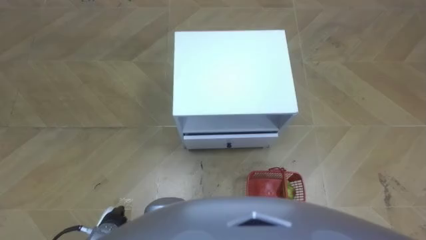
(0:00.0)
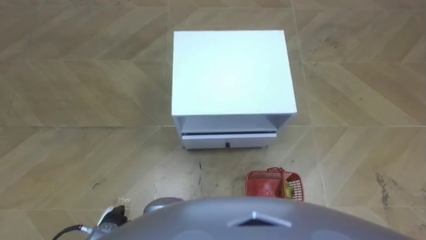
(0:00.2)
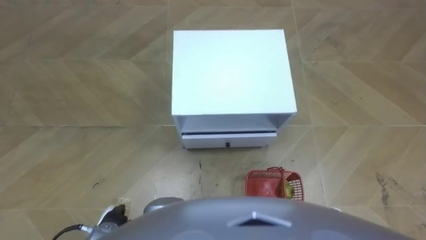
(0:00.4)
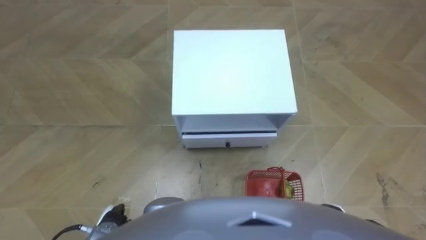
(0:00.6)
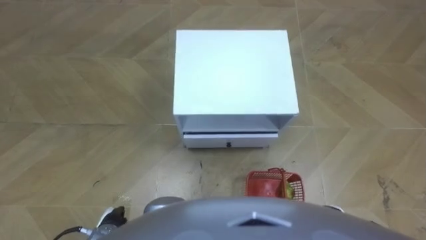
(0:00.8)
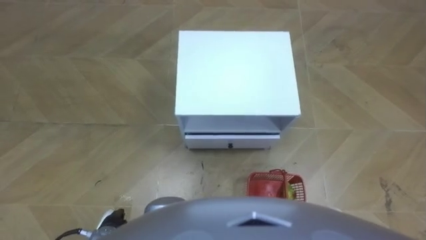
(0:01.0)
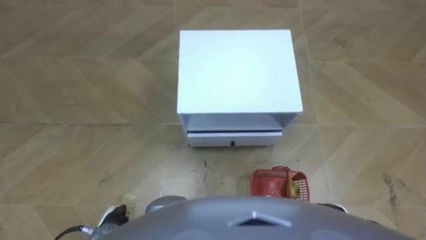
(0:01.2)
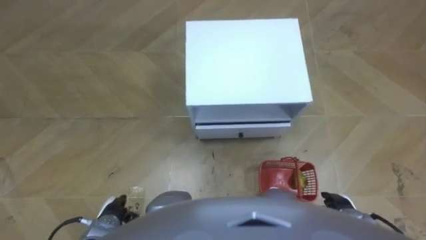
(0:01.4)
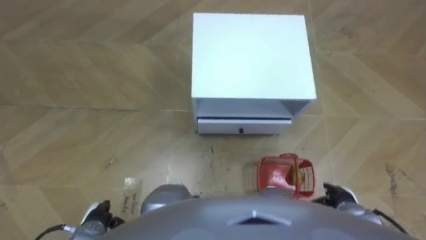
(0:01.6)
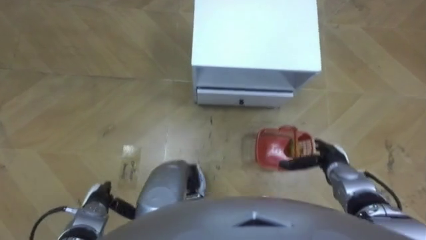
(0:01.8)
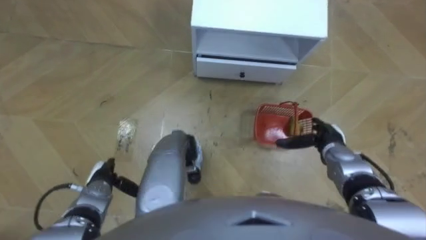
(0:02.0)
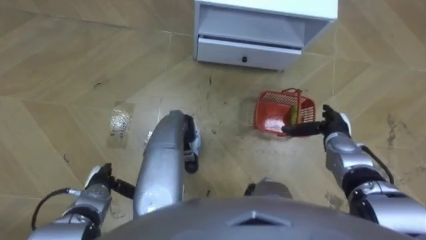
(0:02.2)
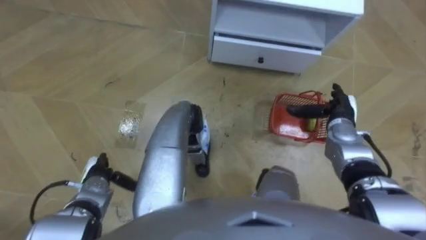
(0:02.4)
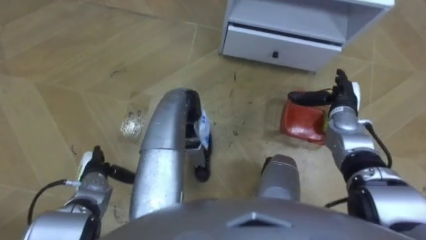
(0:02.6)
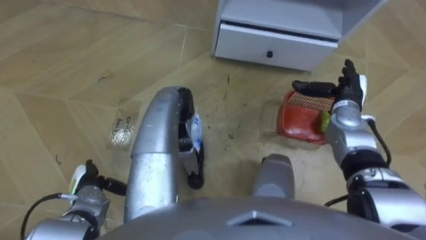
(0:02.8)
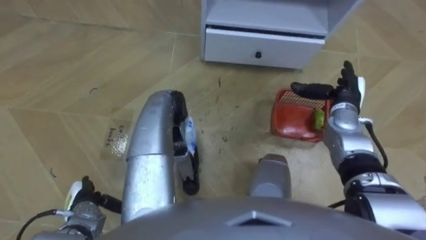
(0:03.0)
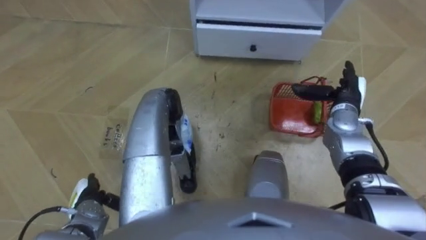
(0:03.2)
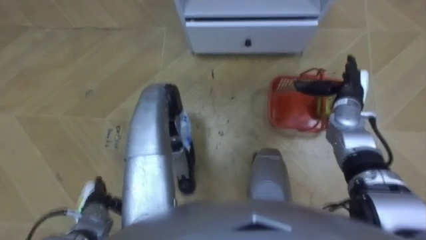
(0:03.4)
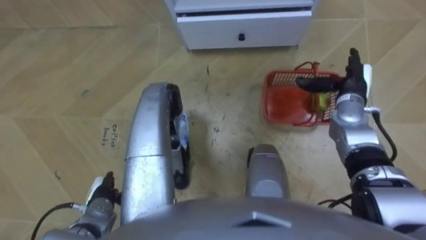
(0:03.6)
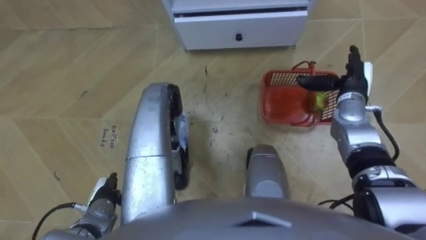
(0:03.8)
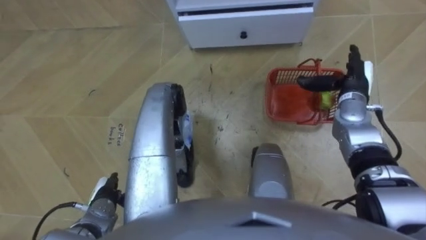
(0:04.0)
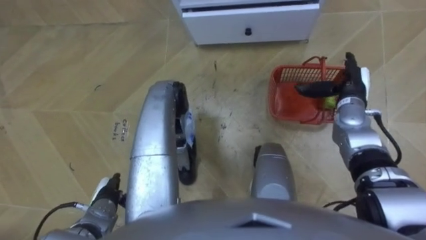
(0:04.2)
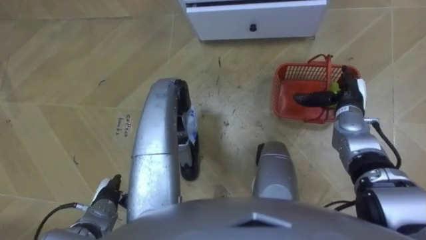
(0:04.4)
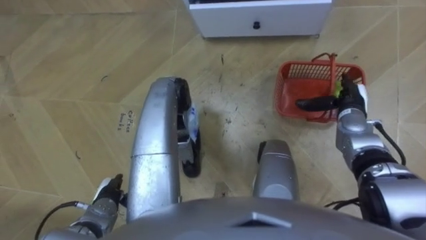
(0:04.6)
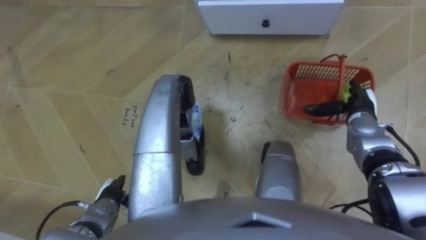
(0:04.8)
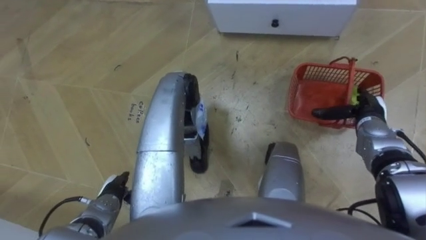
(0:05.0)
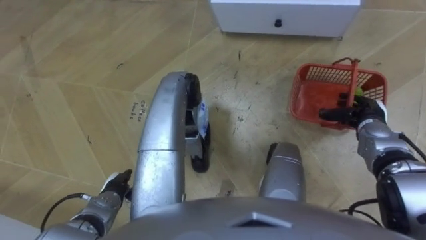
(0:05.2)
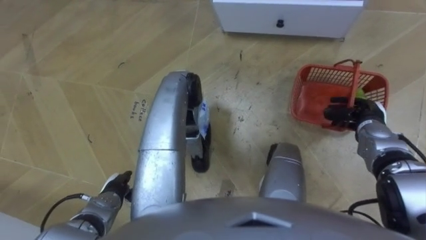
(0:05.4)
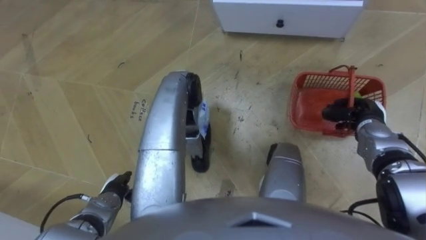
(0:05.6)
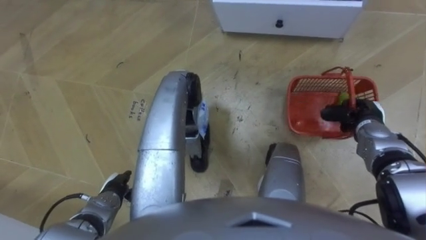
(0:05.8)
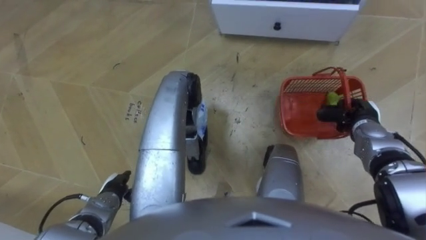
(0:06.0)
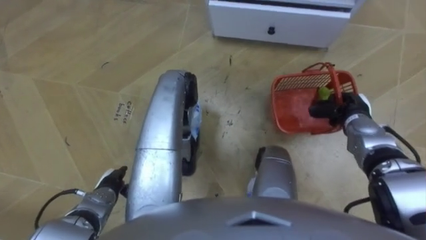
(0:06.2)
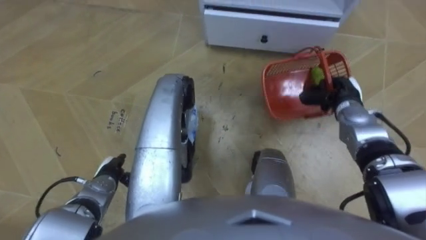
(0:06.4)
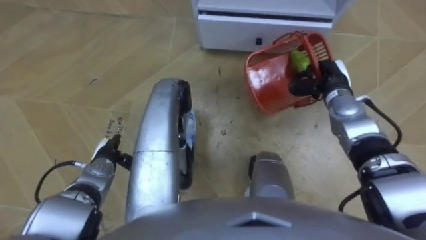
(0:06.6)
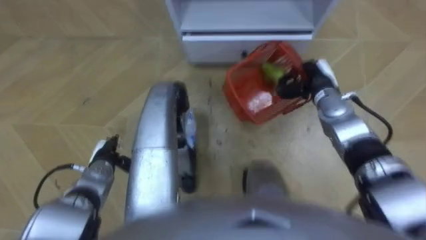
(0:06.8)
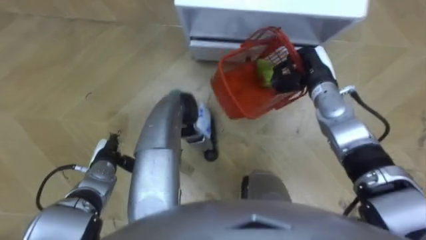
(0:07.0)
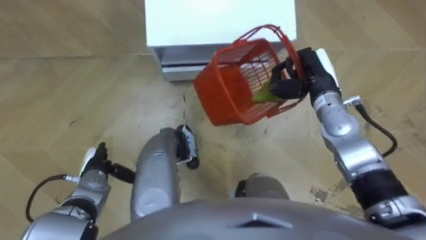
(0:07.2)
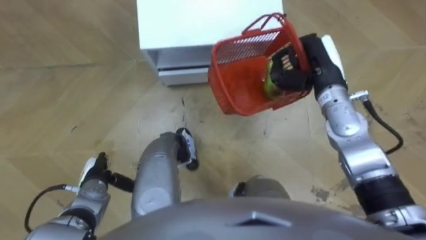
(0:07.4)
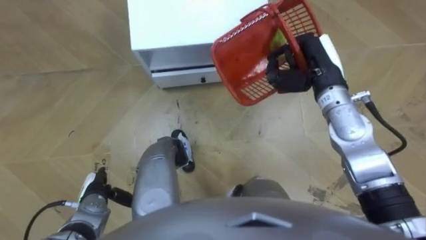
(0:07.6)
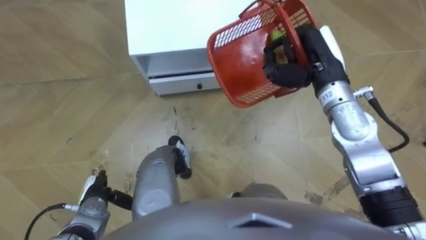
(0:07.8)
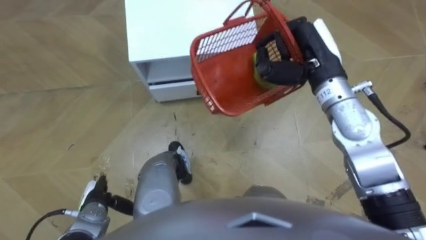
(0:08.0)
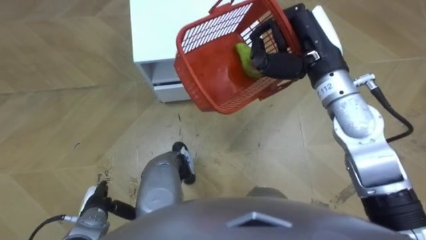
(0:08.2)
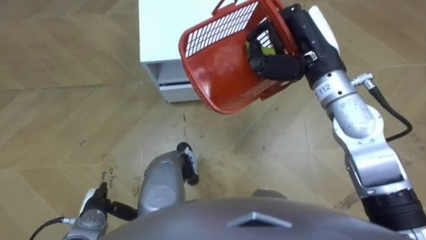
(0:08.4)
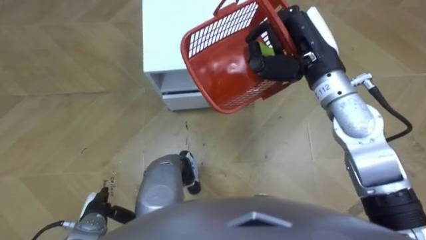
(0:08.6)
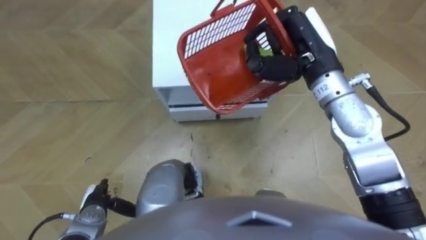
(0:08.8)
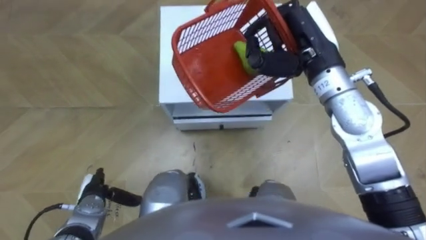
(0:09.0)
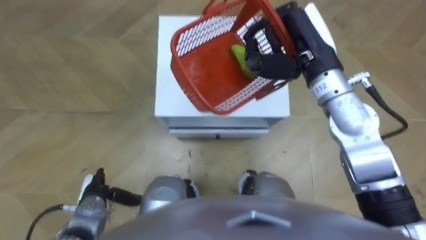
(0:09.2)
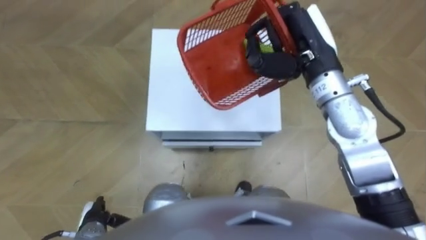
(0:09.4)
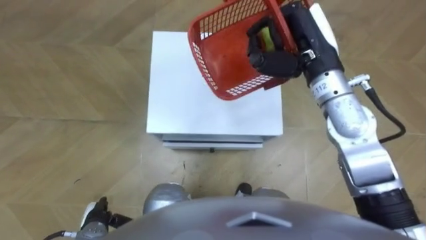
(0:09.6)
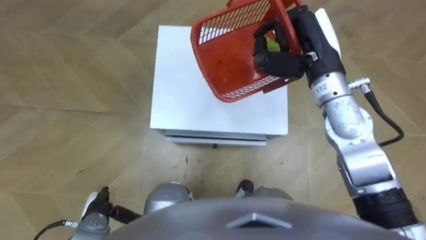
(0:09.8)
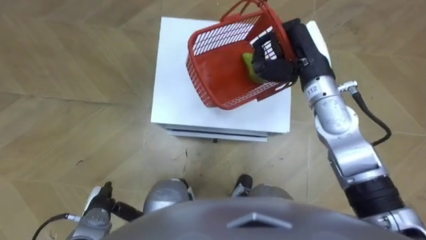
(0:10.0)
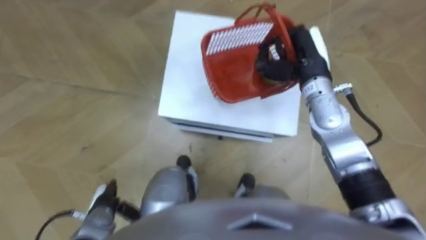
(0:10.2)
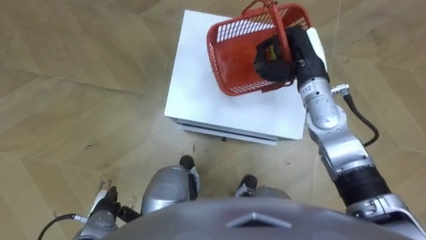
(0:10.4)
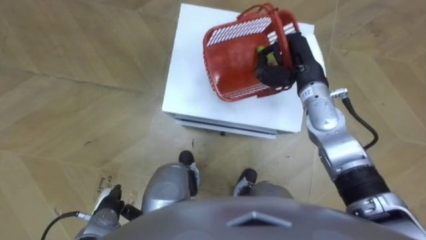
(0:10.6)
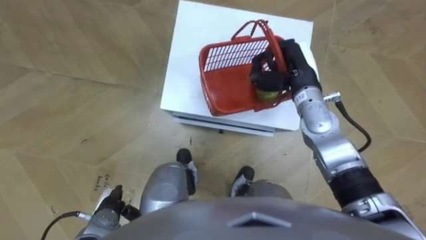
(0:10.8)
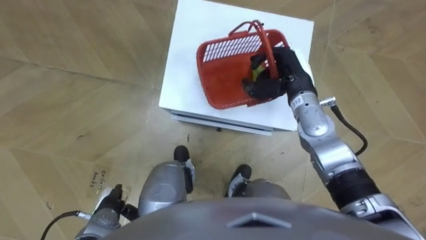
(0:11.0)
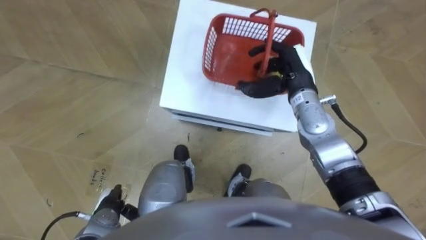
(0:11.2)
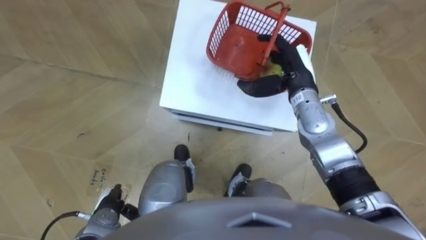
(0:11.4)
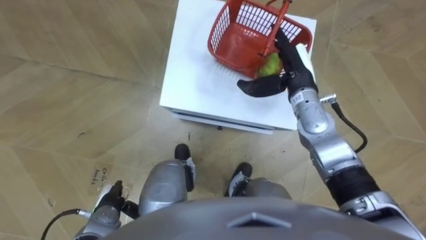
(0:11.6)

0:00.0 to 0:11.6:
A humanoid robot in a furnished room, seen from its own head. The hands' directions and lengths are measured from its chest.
Task of the whole recording: Pick up the fruit basket from the floor and place it on the cabinet.
0:01.4 to 0:02.8: The left hand is displaced forward and to the left by about 10 cm, while the right hand moves forward and upward, approximately 25 cm.
0:02.8 to 0:04.4: The left hand ends up roughly 5 cm from where it was.
0:04.4 to 0:05.8: The right hand changes place by some 5 cm, and closes its fingers.
0:05.8 to 0:07.2: The robot turns to its right by roughly 15 degrees. The left hand shifts some 5 cm forward, while the right hand heads to the left, upward and forward, covering about 15 cm.
0:07.2 to 0:08.8: The right hand shifts about 10 cm upward; the left hand travels backward by approximately 10 cm.
0:08.8 to 0:10.2: The right hand is displaced downward by about 5 cm.
0:10.2 to 0:11.6: The right hand opens.

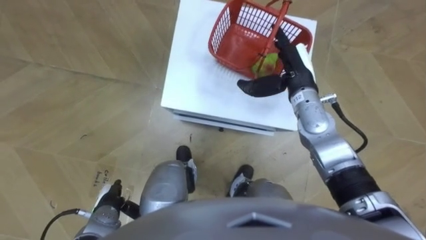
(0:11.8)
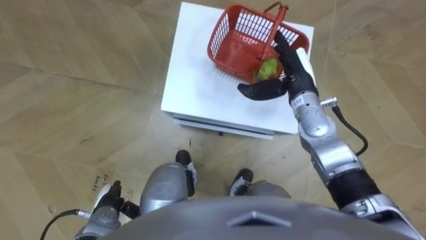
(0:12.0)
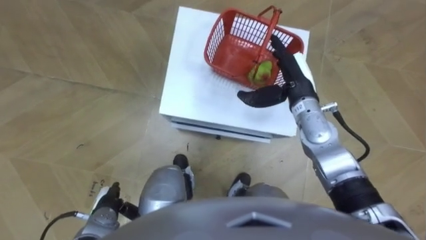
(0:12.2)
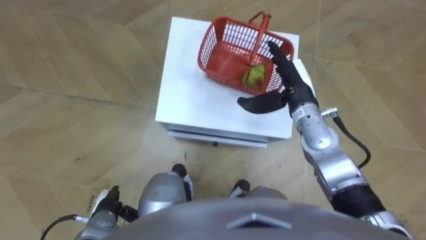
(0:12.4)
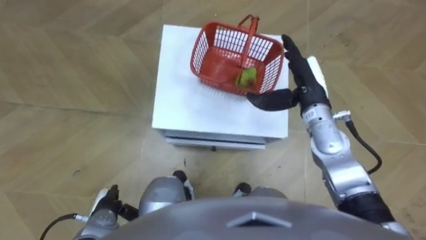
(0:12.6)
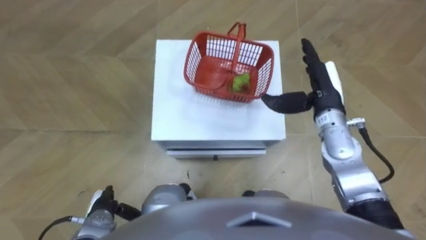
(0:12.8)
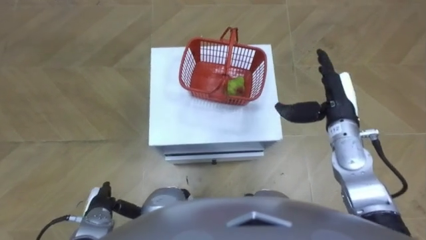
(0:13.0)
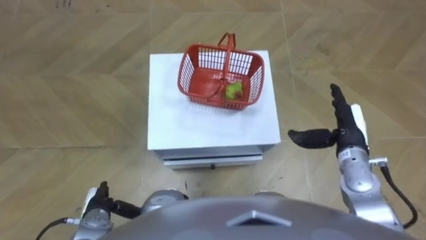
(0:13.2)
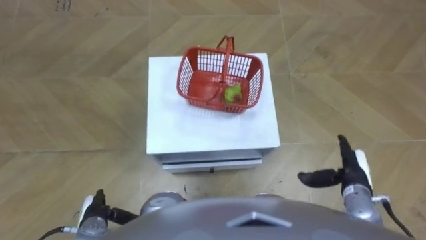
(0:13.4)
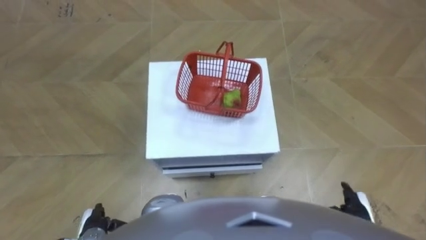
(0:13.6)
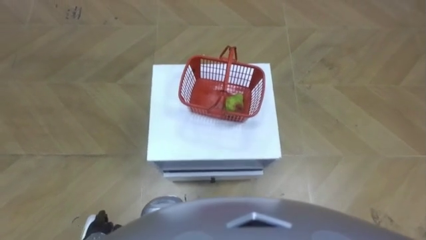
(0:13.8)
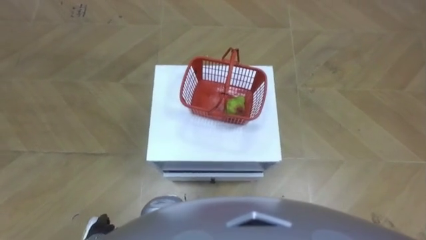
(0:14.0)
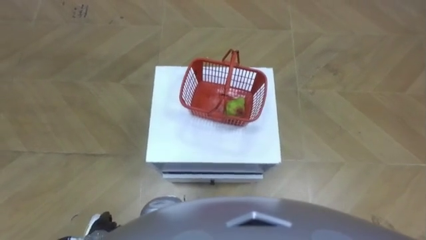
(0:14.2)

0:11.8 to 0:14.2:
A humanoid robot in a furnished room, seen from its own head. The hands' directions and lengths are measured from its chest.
Task of the whole recording: Pick up the fruit basket from the floor and place it on the cabinet.
0:11.8 to 0:13.0: The right hand heads to the right and backward, covering roughly 10 cm.
0:13.0 to 0:14.2: The left hand moves backward, approximately 5 cm.

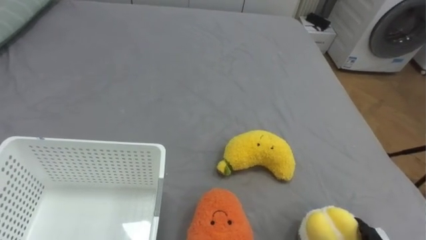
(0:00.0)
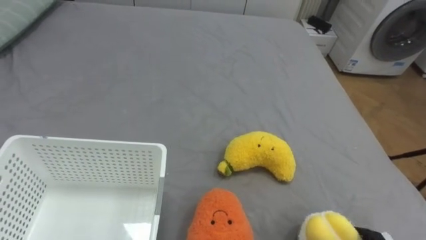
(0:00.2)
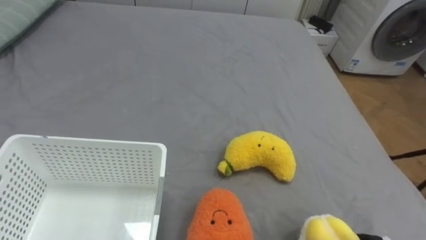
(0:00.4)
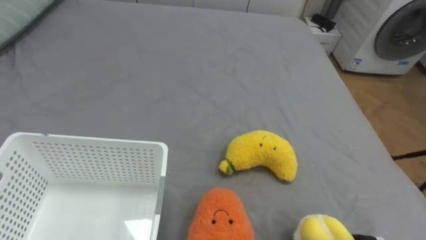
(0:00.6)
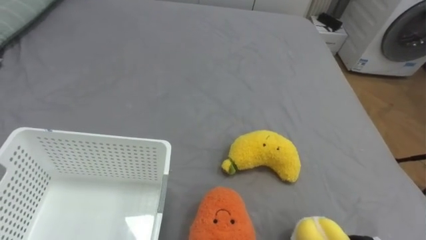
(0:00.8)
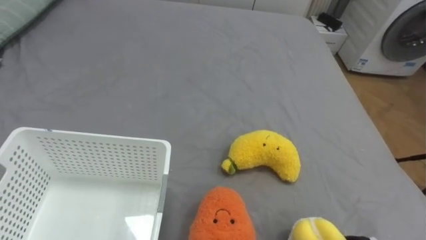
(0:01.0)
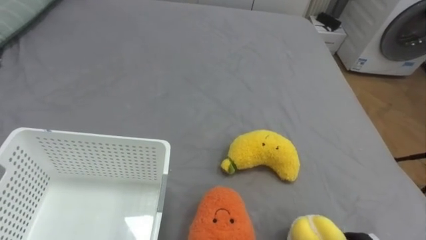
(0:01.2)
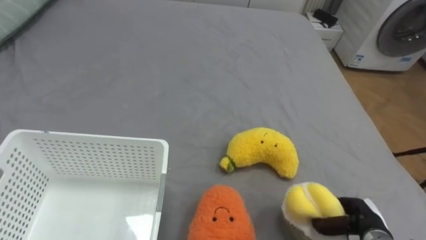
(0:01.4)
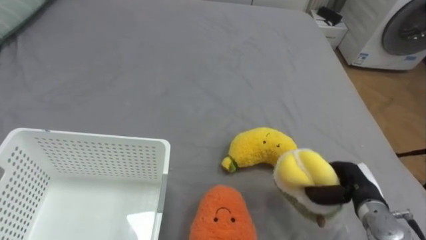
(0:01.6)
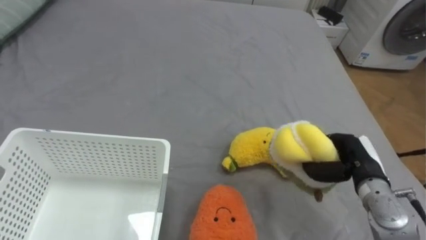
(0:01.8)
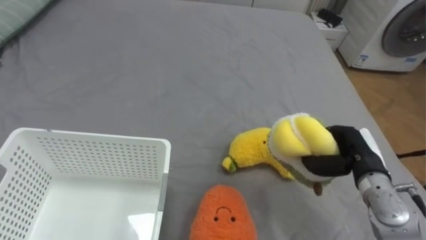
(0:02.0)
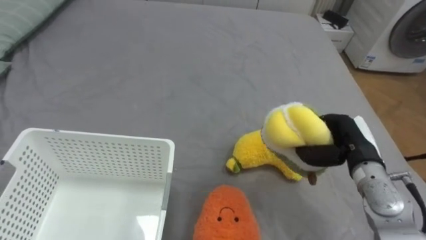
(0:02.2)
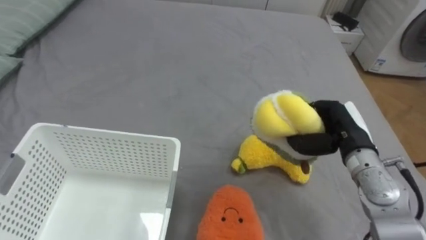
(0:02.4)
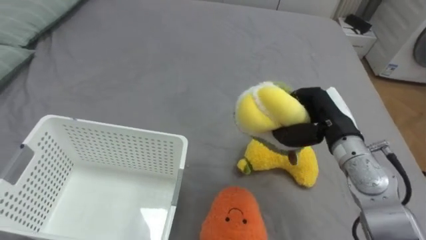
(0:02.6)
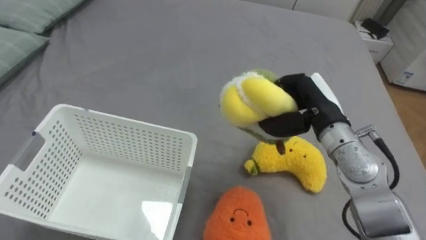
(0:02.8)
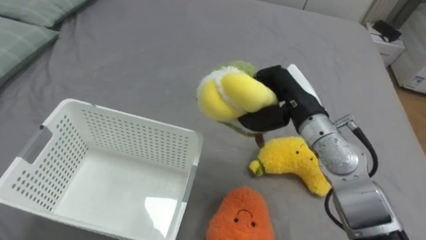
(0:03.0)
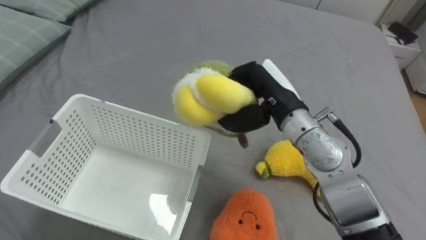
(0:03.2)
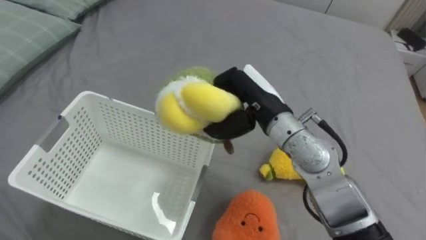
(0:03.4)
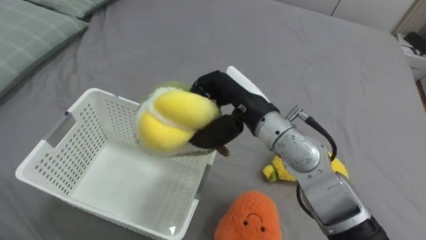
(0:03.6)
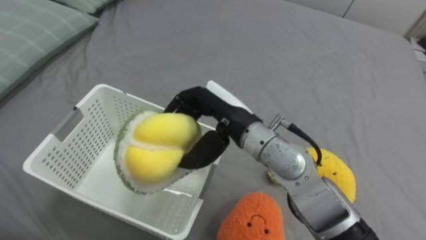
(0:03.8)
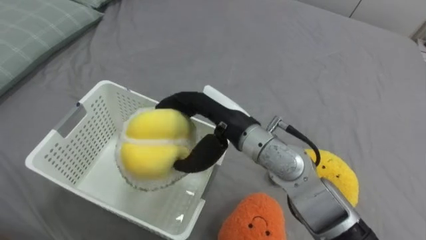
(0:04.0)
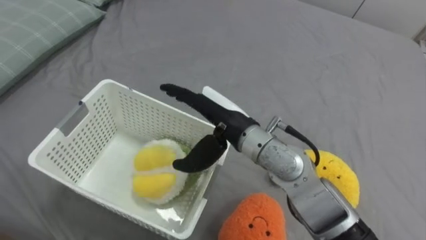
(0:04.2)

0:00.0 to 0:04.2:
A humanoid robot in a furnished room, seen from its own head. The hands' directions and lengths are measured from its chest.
Task of the whole recording: Put the toys on the bed into the basket on the left.
0:01.4 to 0:02.8: The right hand moves upward, forward and to the left, approximately 30 cm.
0:02.8 to 0:04.2: The right hand moves to the left, about 15 cm, and opens.
